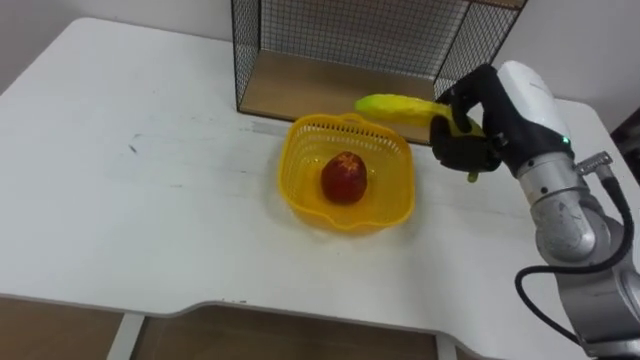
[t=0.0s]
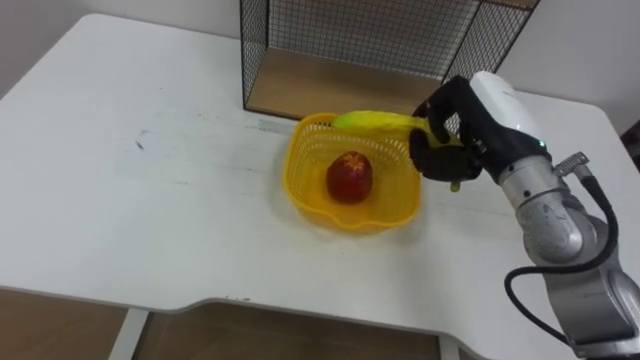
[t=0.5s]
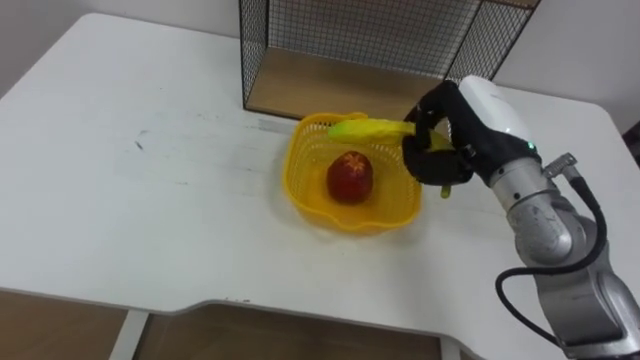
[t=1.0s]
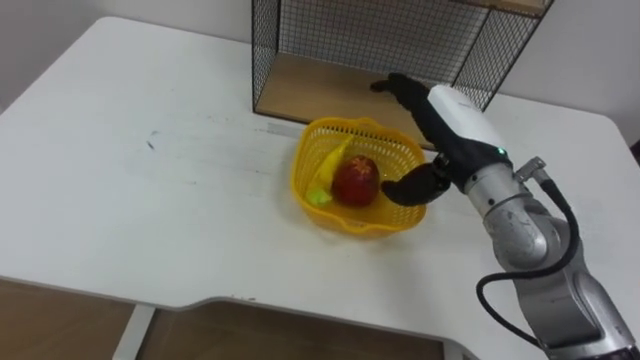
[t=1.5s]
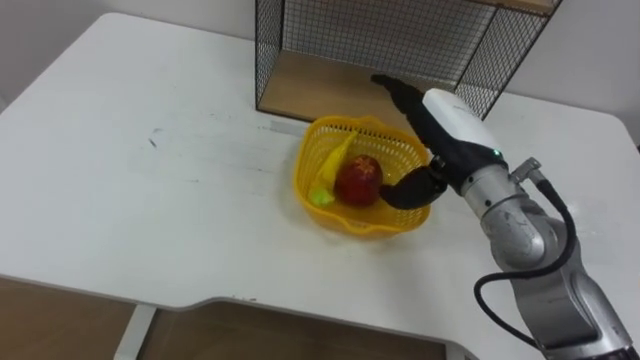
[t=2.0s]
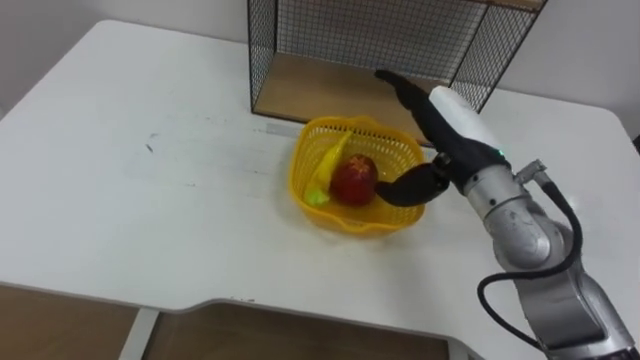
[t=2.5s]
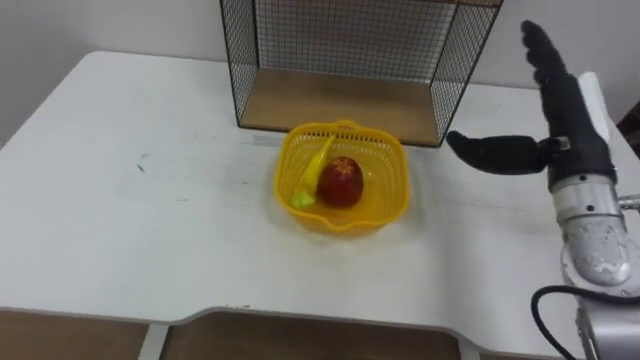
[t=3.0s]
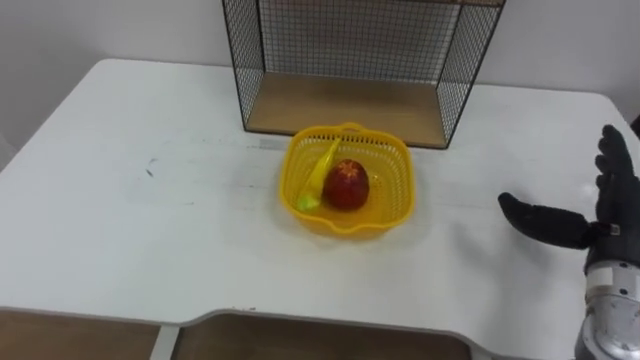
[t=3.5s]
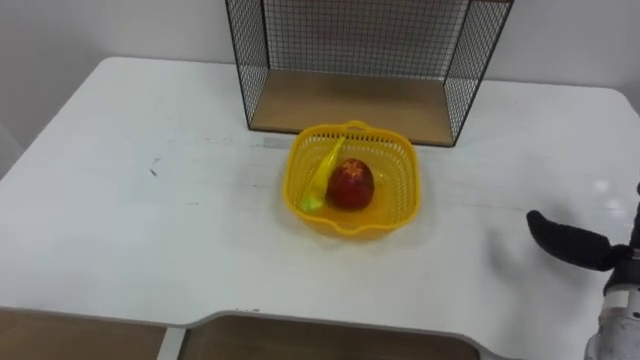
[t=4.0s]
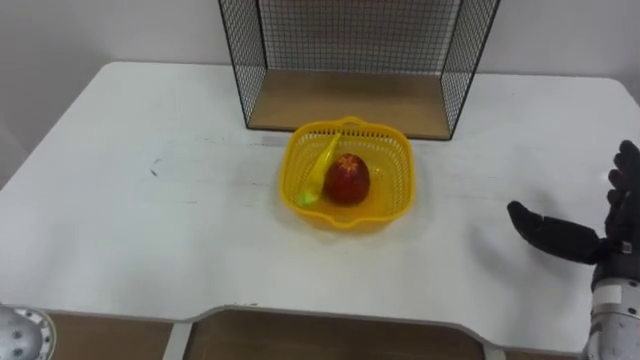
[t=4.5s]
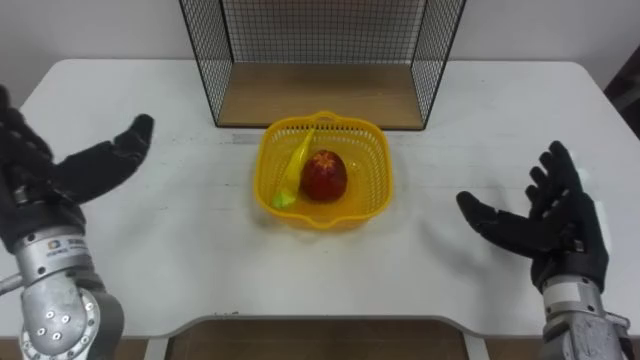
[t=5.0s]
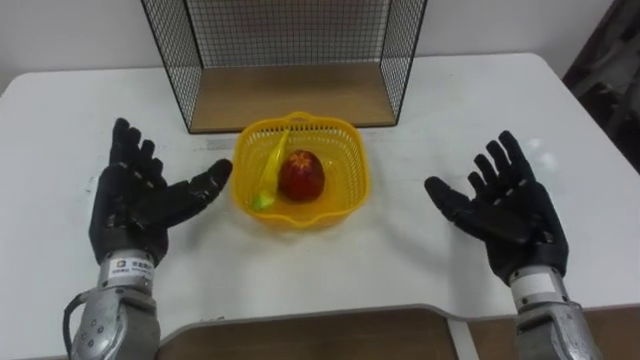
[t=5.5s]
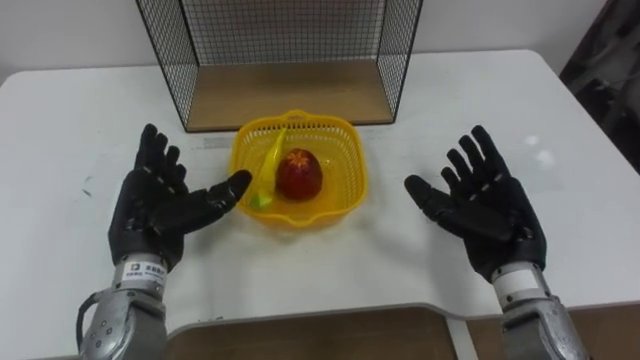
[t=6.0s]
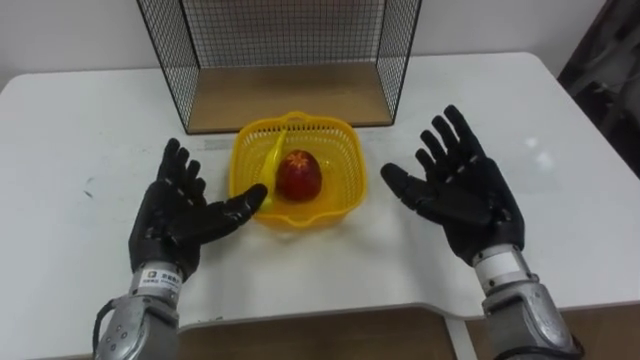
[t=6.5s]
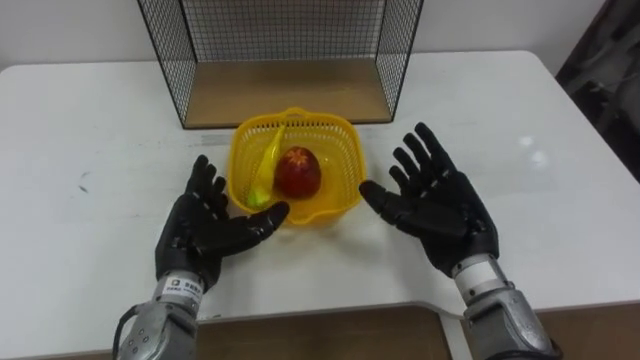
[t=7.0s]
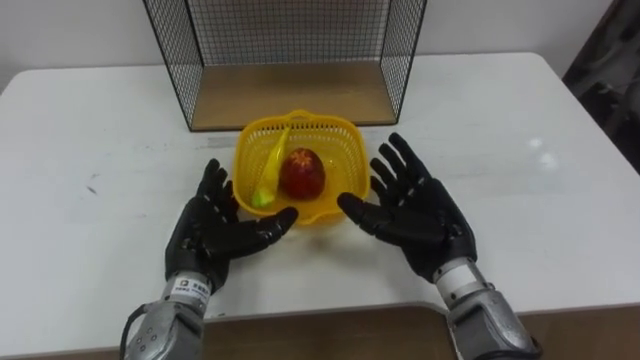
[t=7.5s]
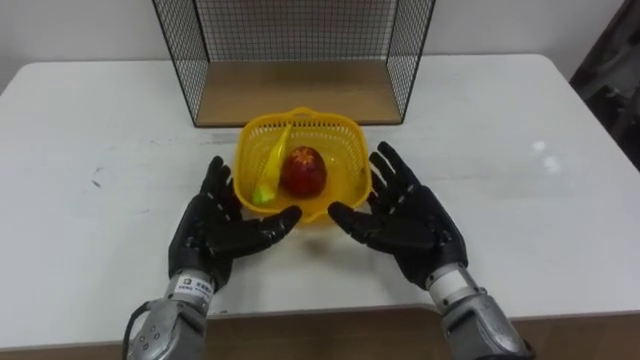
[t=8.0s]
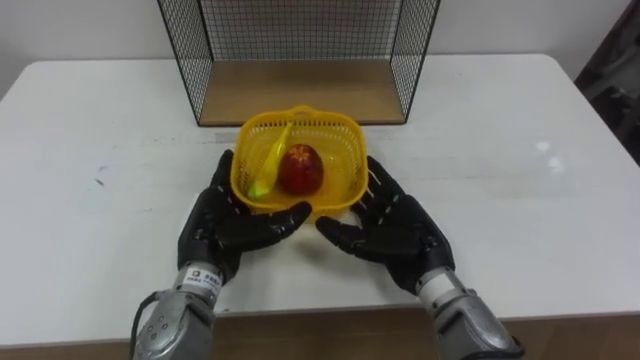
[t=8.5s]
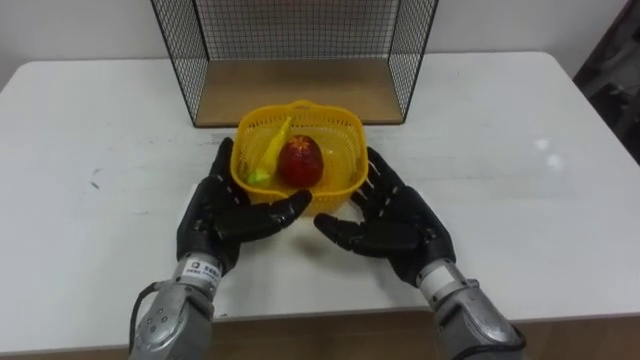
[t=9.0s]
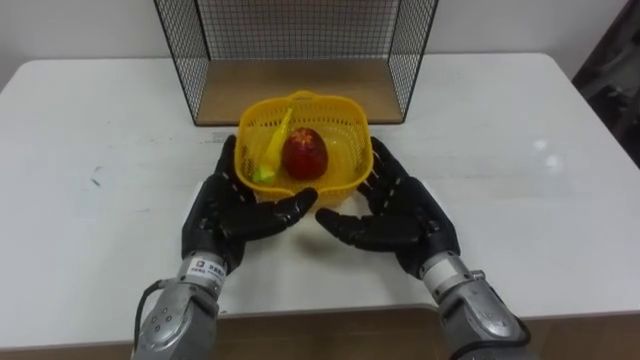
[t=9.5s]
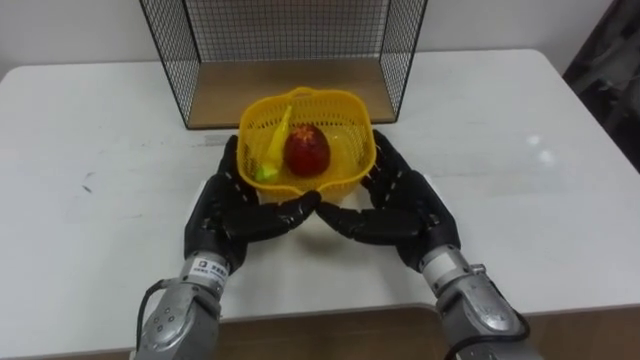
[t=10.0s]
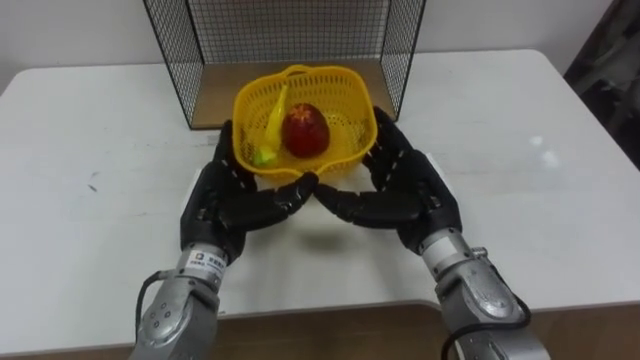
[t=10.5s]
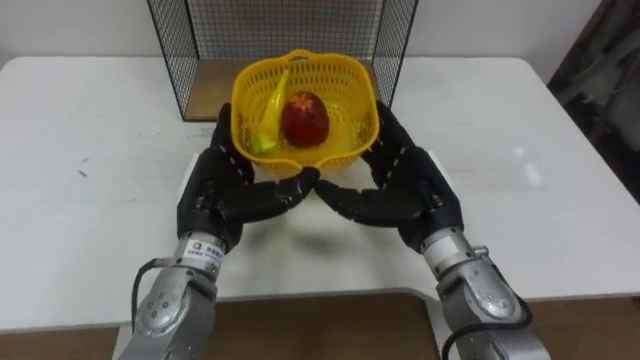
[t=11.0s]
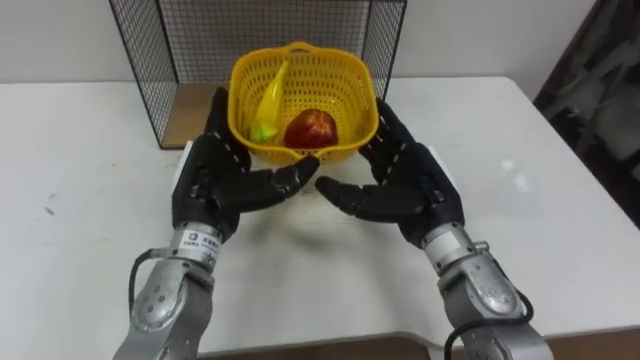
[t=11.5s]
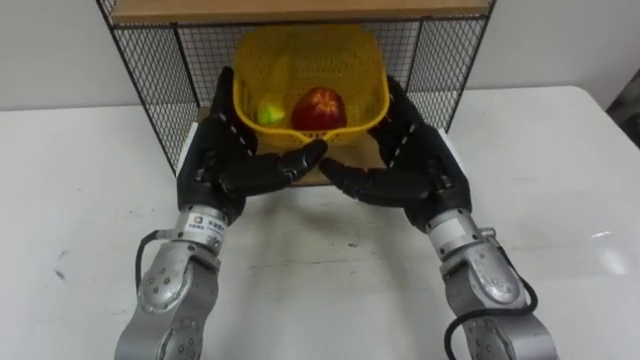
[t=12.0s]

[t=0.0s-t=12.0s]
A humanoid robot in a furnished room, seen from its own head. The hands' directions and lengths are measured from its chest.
Task of the whole recording: Put the fruit on the table into the basket, then place the basket on the shelf.
t=0.0s to t=2.0s: The right hand heads to the left, covering some 5 cm, and opens its fingers.
t=6.0s to t=8.0s: The left hand goes some 5 cm to the right. The right hand heads to the left, covering about 10 cm.
t=8.0s to t=10.0s: The hands make only small movements.
t=10.0s to t=12.0s: Both hands travel together upward, some 5 cm.

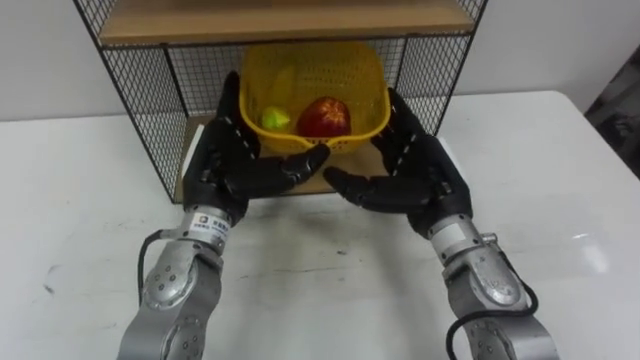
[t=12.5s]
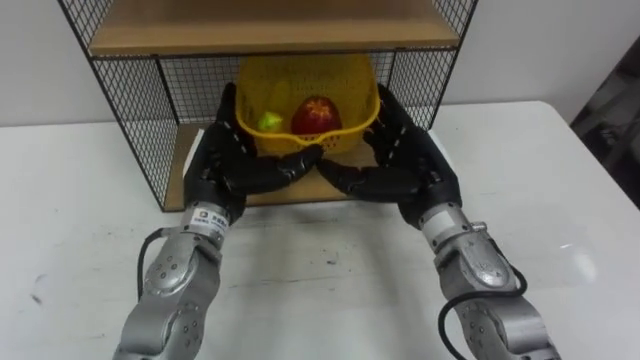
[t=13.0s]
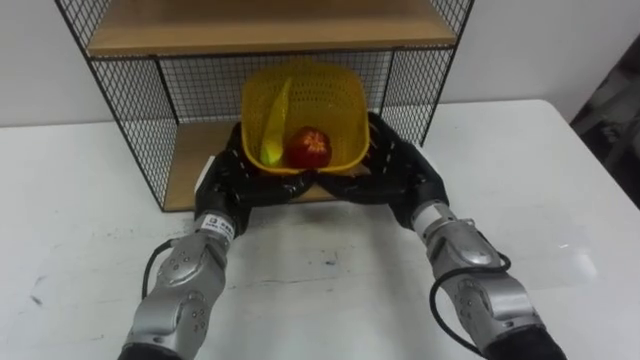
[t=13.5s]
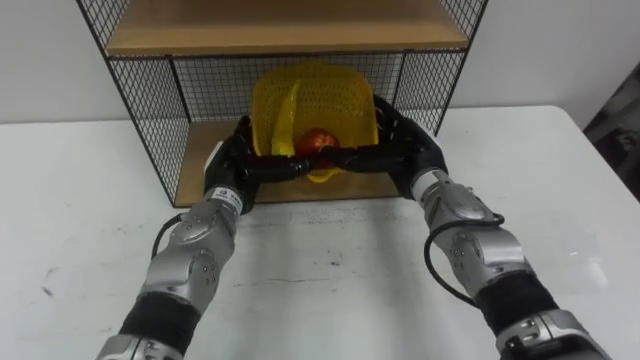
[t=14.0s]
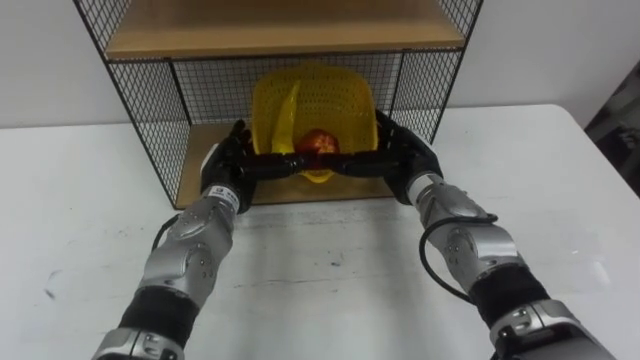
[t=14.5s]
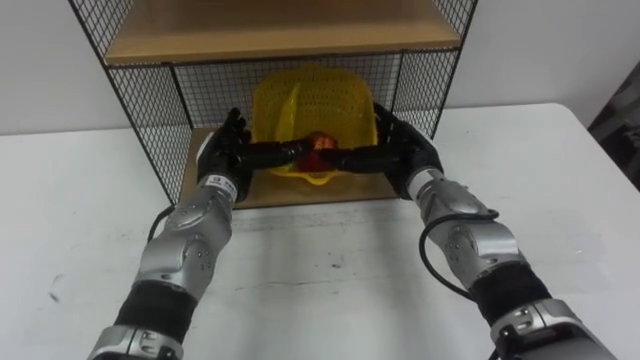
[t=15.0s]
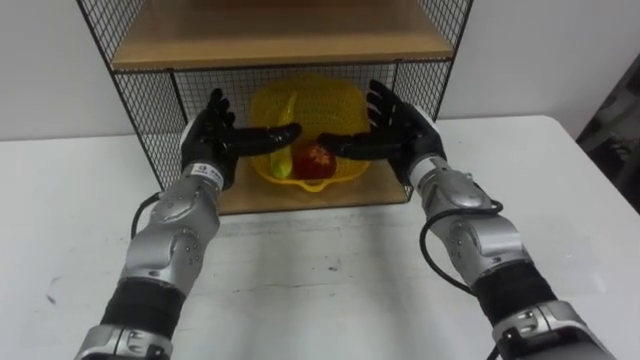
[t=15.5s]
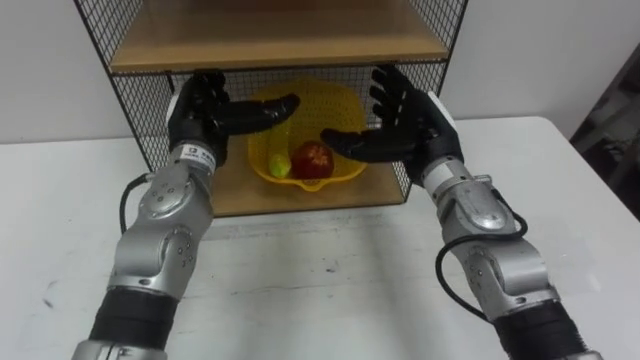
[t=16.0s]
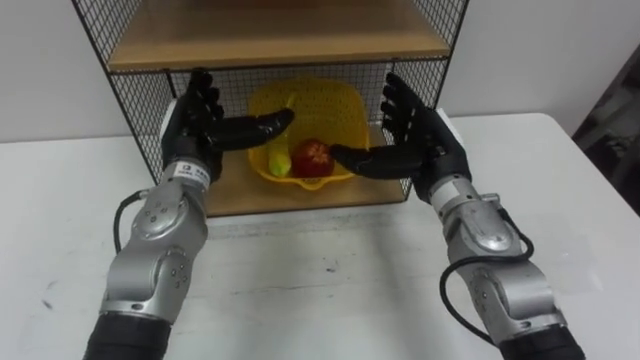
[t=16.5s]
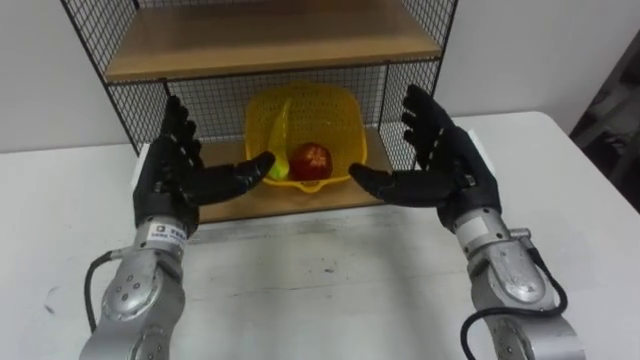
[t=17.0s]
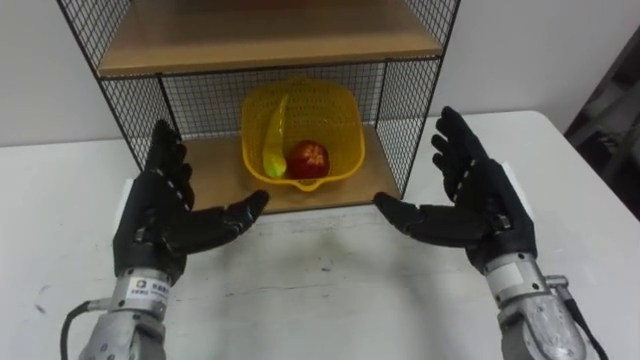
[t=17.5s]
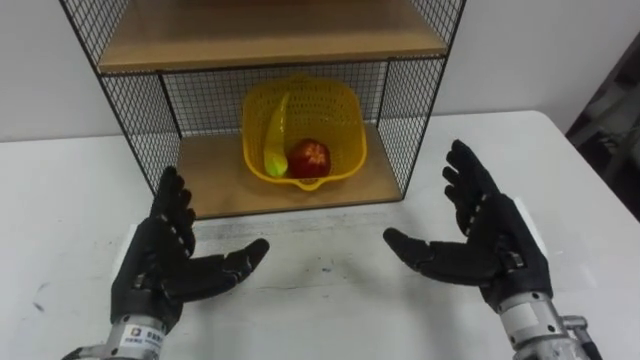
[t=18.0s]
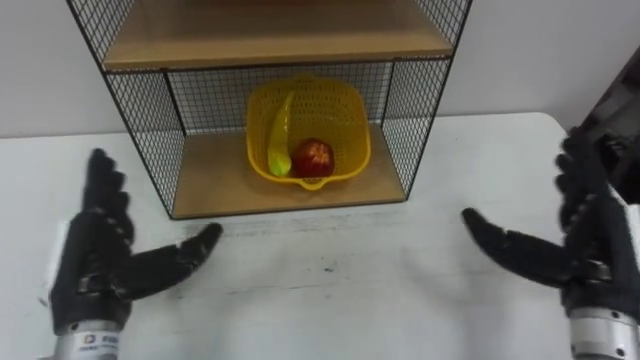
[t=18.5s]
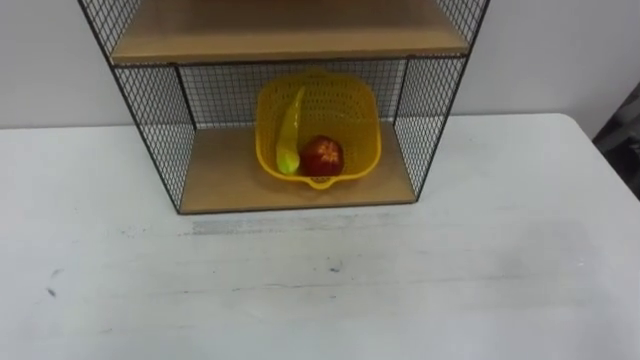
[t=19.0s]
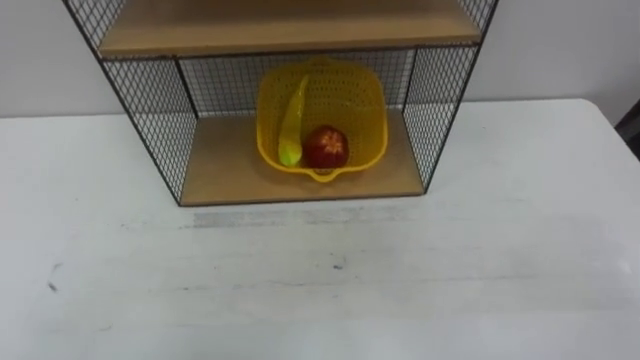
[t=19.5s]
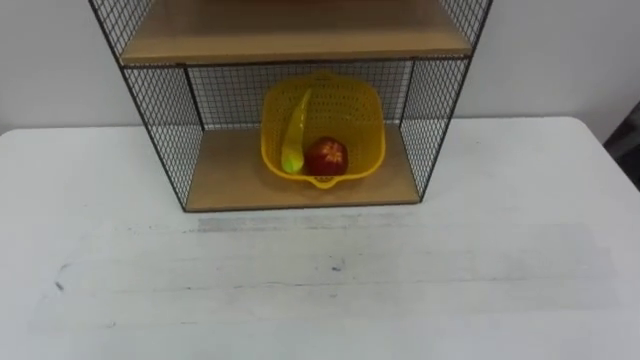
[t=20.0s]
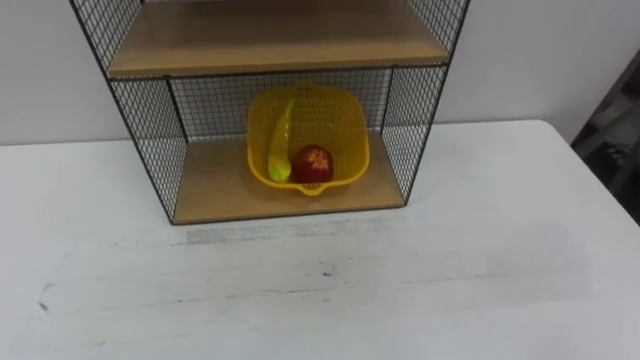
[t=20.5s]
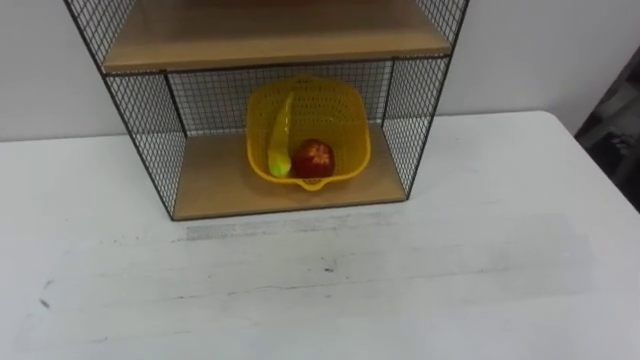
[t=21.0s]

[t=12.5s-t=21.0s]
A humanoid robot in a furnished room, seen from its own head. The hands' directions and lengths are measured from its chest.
Task of the whole recording: Put the fruit on the table into the basket, then place the basket on the shelf.
t=12.5s to t=14.5s: The left hand travels downward and forward by about 10 cm; the right hand is displaced forward and downward by about 10 cm.
t=14.5s to t=16.5s: Both hands move upward, about 5 cm.
